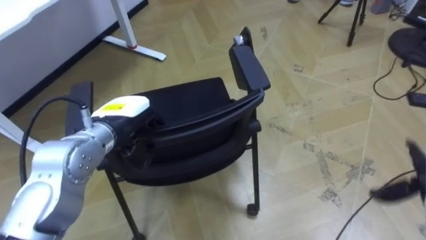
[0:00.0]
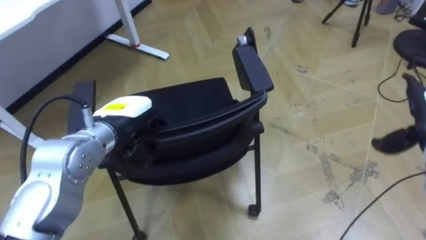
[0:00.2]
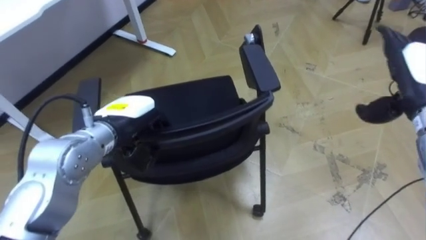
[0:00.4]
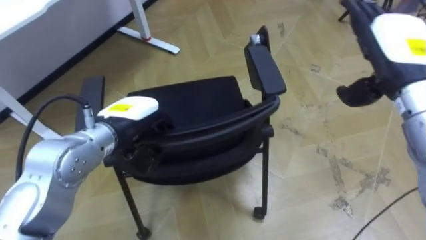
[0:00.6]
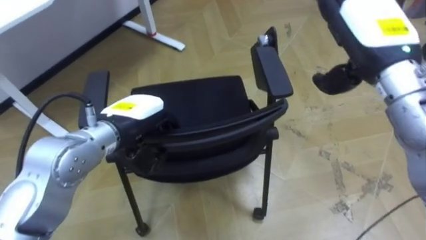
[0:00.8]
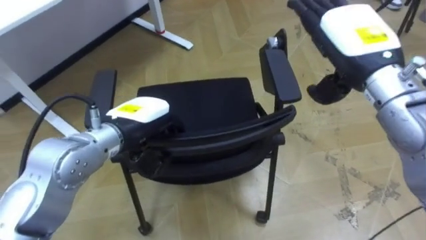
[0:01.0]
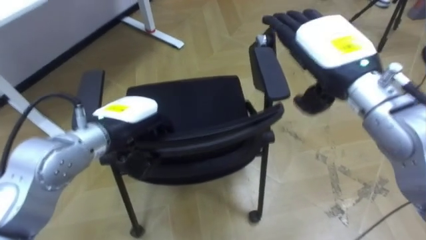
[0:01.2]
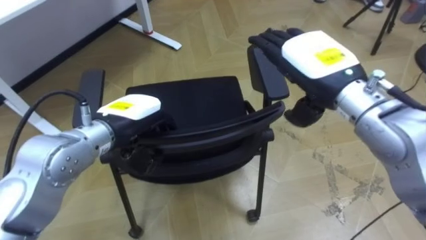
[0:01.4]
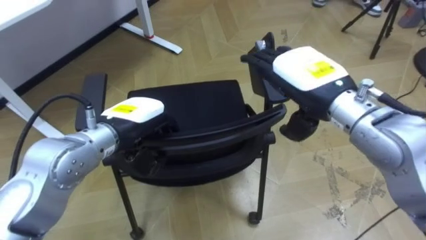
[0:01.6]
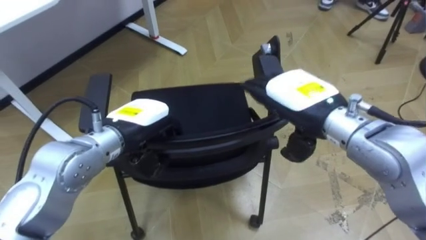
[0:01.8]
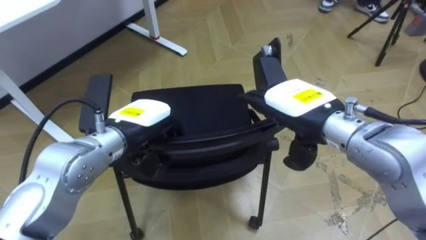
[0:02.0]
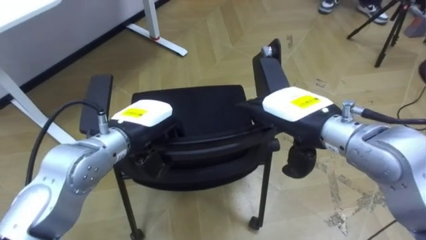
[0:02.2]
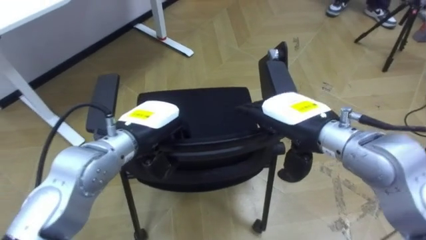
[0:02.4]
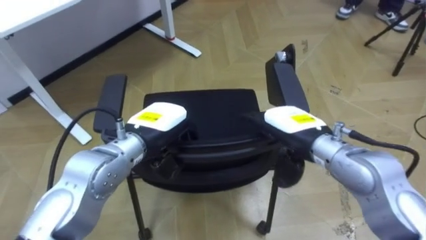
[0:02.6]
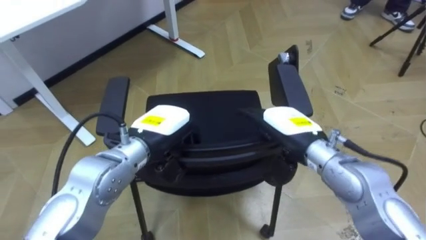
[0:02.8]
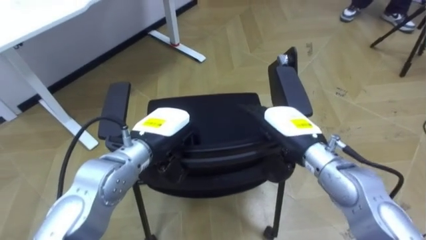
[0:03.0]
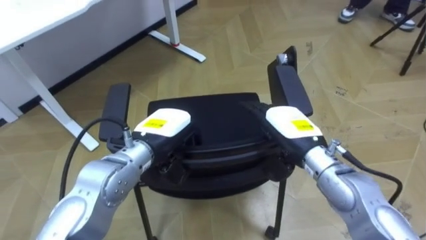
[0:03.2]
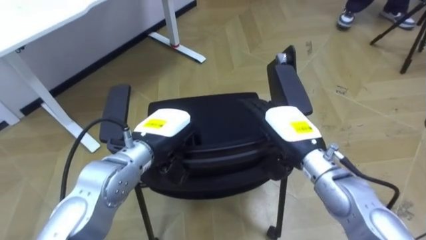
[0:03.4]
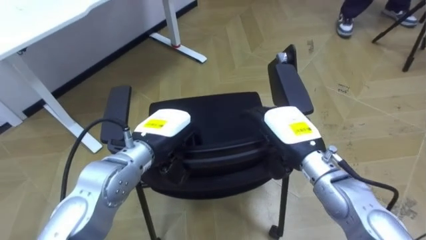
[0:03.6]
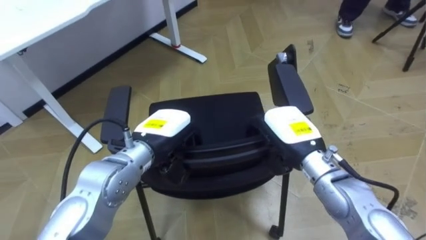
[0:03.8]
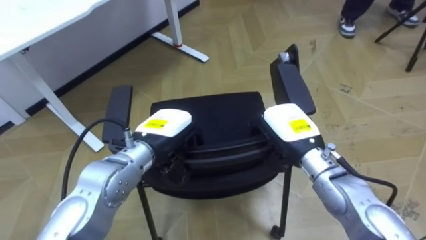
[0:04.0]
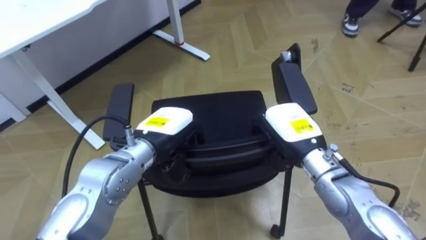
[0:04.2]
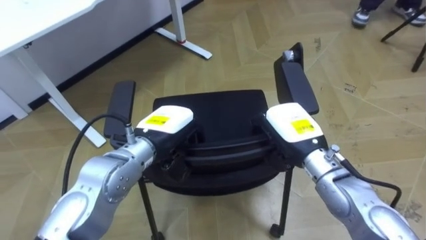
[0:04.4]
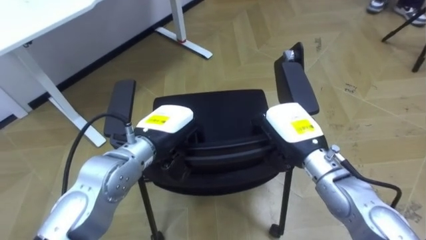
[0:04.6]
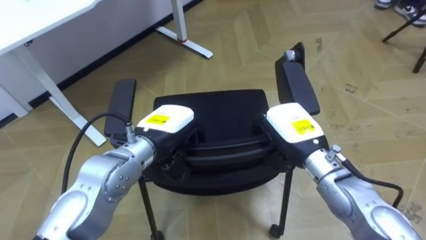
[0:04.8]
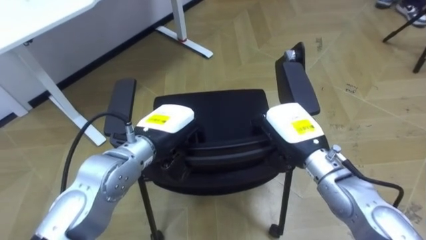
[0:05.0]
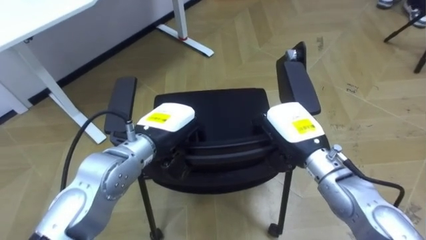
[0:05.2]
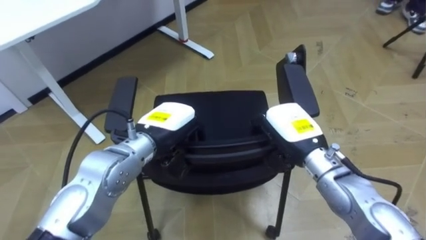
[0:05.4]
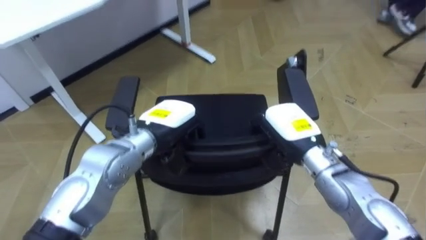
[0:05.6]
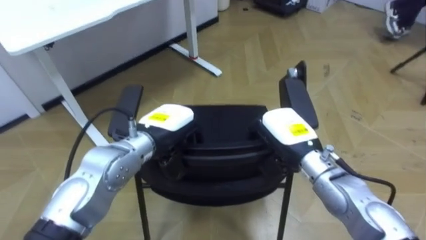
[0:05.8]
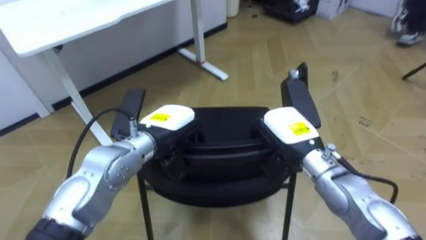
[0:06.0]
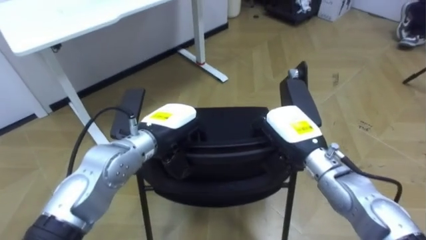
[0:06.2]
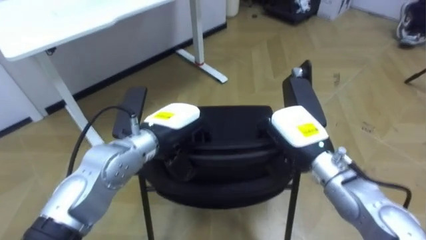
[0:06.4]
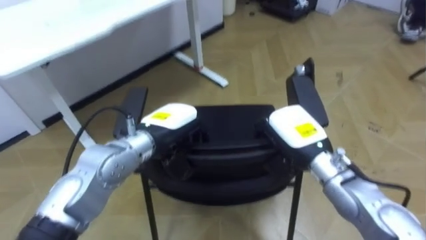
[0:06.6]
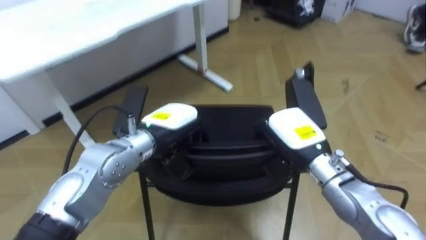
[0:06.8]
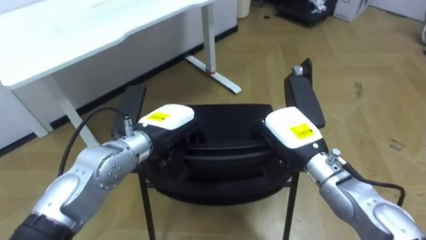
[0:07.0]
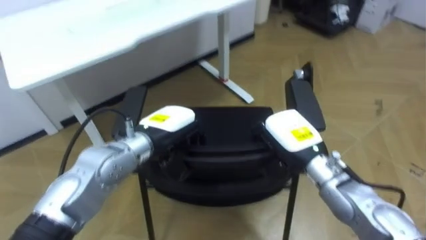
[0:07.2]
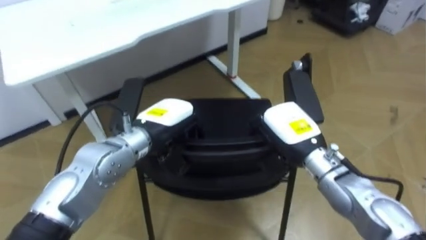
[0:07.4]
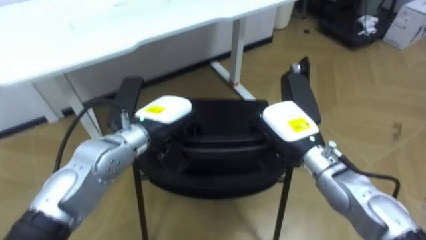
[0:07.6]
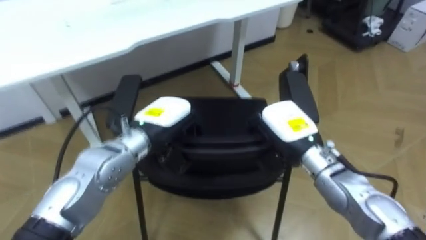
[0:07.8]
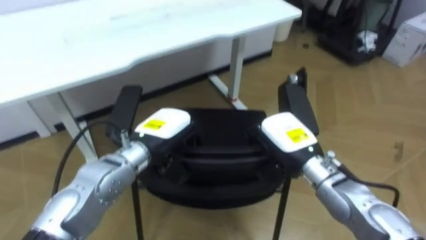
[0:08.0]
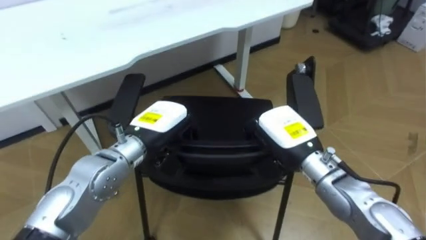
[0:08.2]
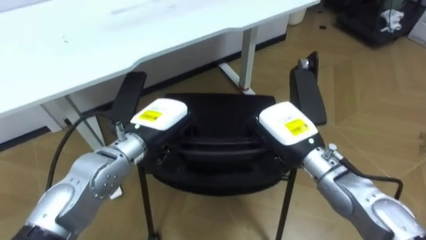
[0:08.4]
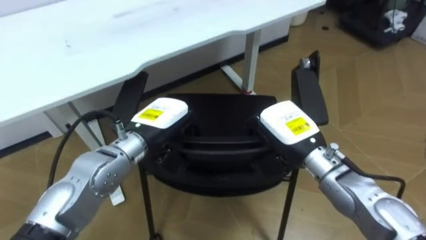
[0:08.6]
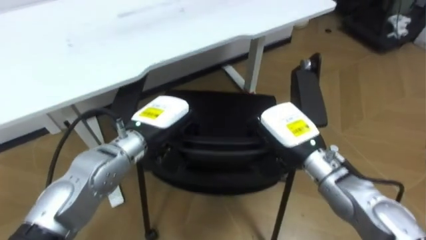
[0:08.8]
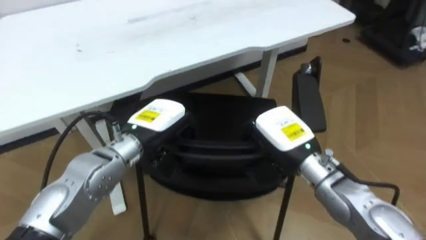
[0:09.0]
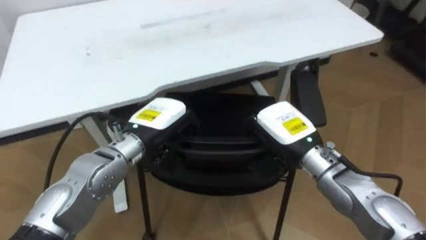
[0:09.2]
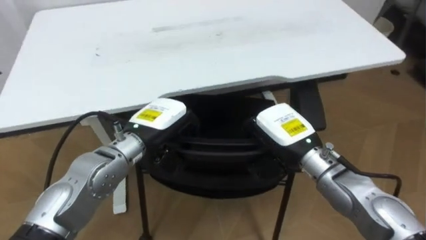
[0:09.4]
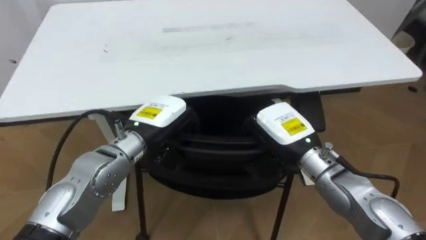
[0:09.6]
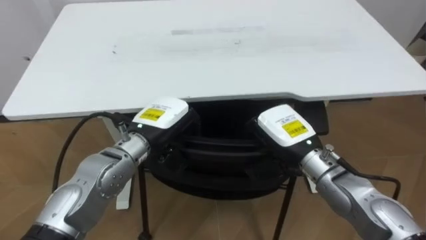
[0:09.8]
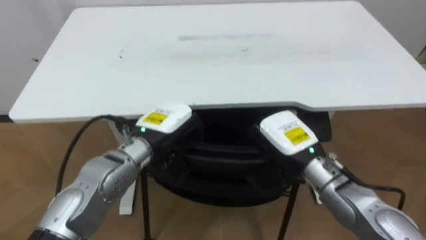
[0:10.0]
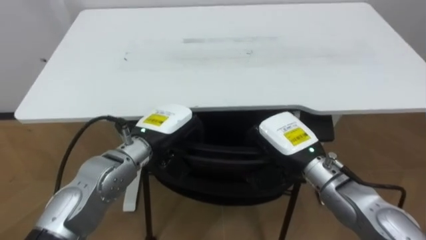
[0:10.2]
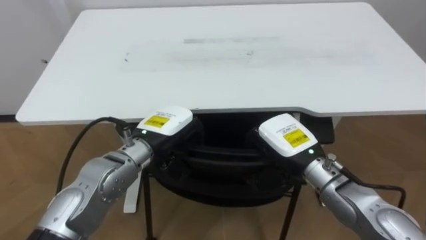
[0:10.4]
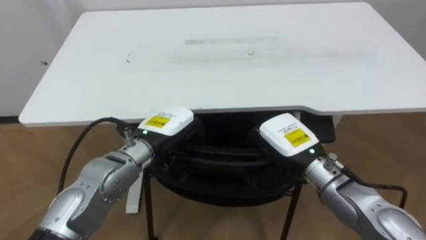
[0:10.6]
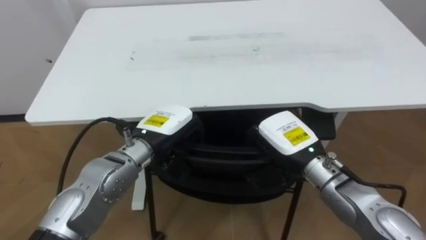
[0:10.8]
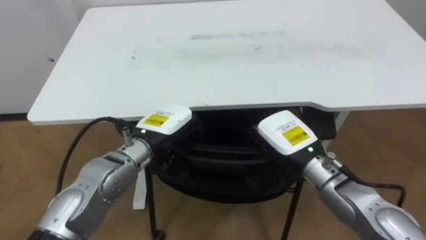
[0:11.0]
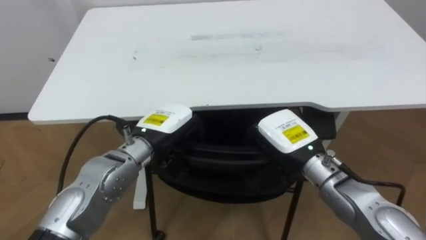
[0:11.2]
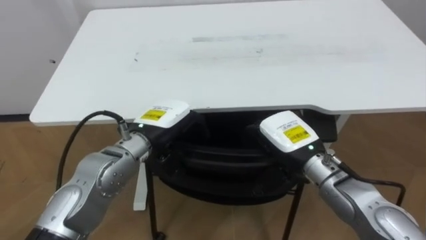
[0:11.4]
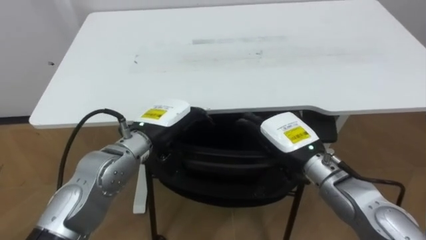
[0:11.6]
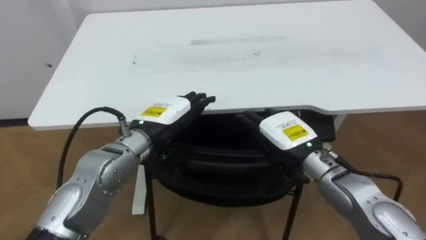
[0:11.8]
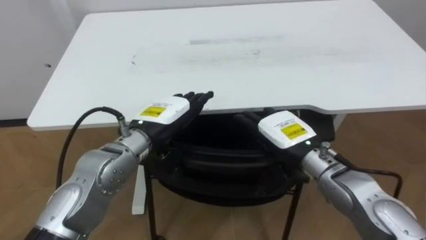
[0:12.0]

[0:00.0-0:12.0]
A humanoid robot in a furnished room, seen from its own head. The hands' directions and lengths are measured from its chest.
Task of the whole recording: Push the chair under the table.
0:01.6 to 0:03.0: The left hand moves some 5 cm, while the right hand is displaced downward by some 10 cm.
0:03.0 to 0:04.4: The right hand closes up.
0:09.0 to 0:10.4: The robot faces about 20 degrees further to its left.
0:10.4 to 0:12.0: The left hand opens; the right hand opens its fingers.

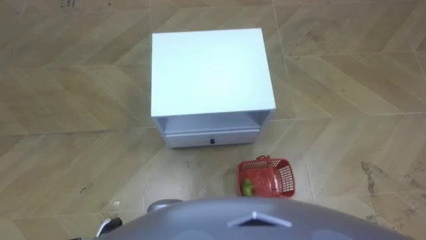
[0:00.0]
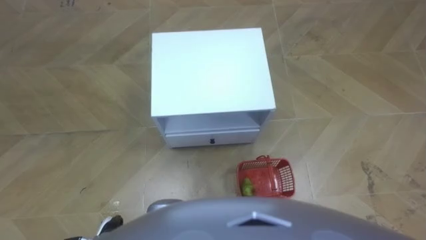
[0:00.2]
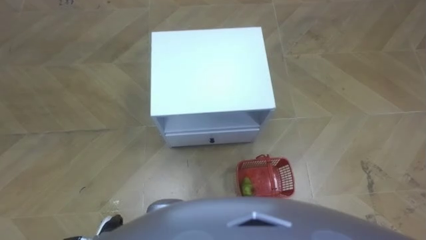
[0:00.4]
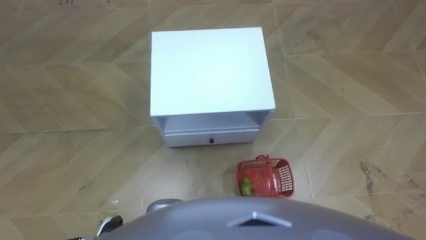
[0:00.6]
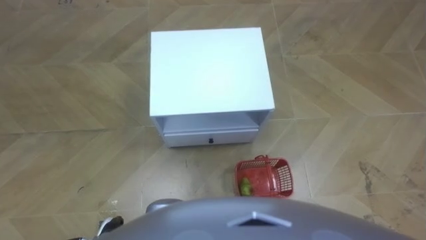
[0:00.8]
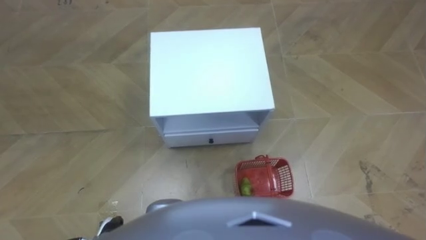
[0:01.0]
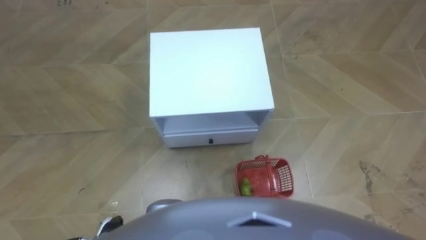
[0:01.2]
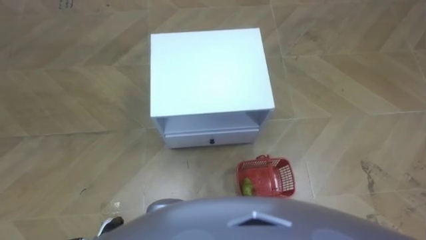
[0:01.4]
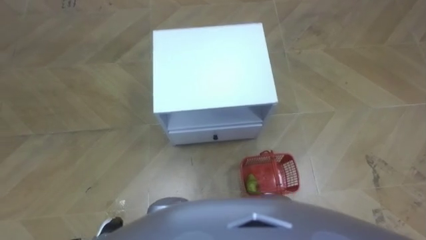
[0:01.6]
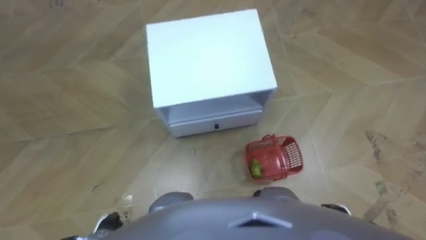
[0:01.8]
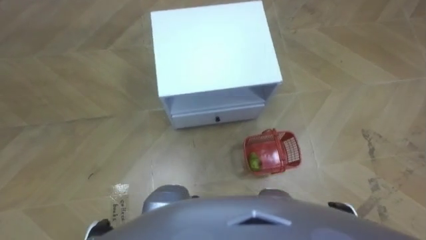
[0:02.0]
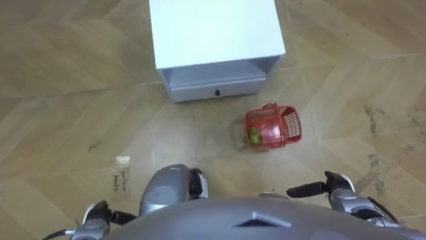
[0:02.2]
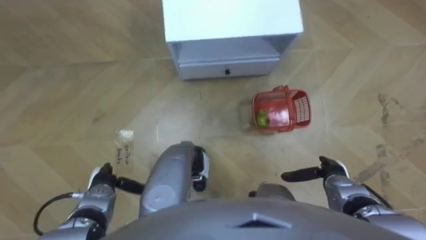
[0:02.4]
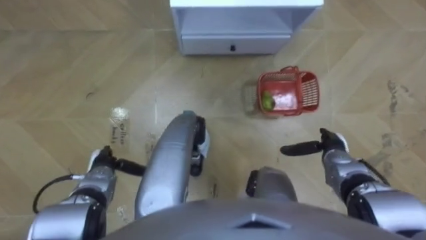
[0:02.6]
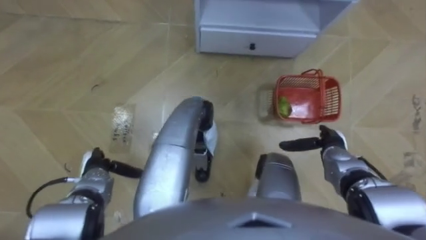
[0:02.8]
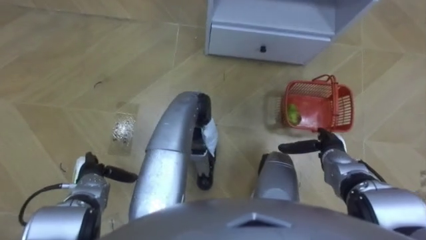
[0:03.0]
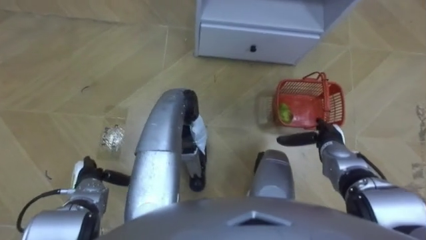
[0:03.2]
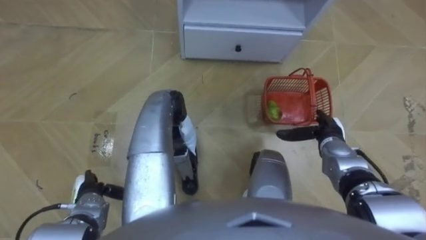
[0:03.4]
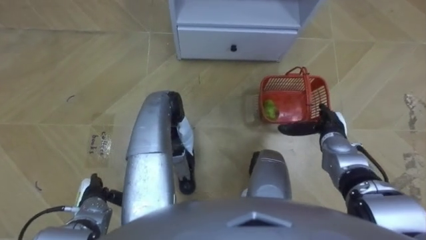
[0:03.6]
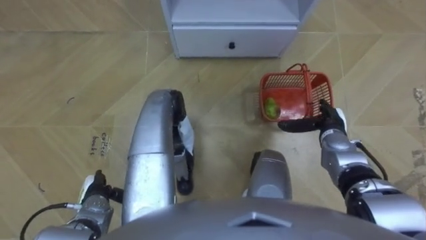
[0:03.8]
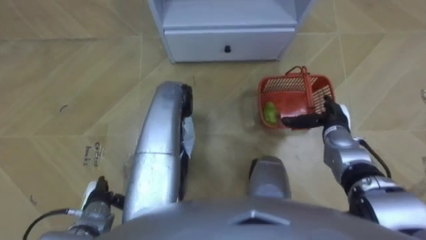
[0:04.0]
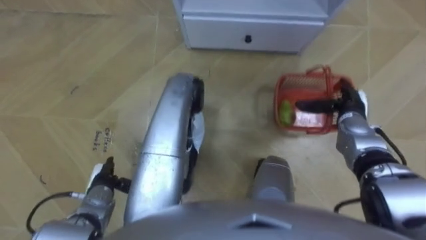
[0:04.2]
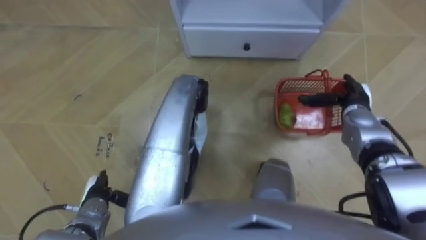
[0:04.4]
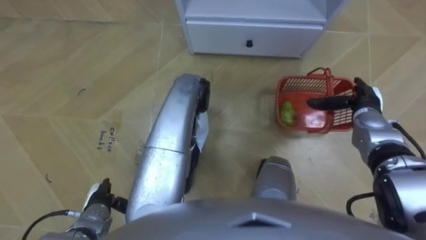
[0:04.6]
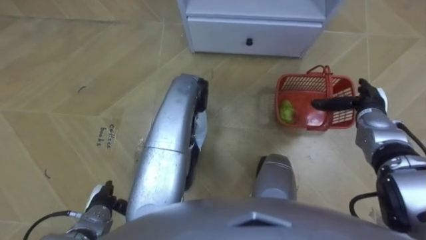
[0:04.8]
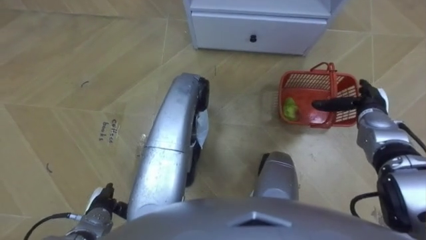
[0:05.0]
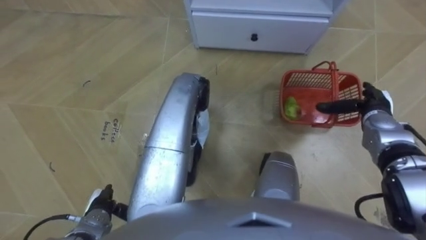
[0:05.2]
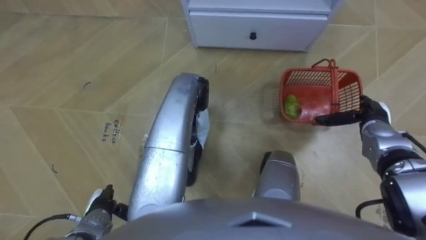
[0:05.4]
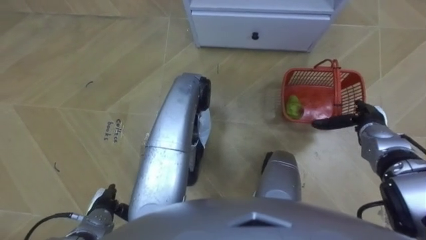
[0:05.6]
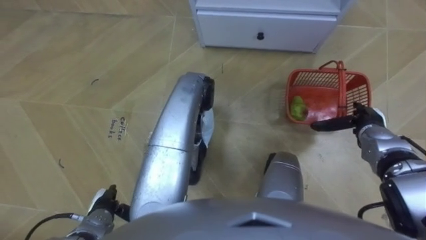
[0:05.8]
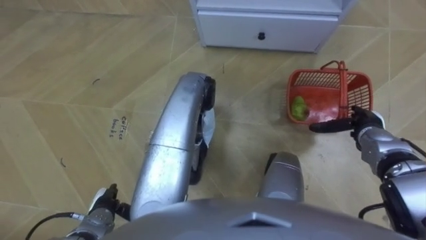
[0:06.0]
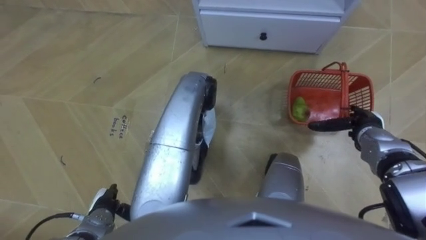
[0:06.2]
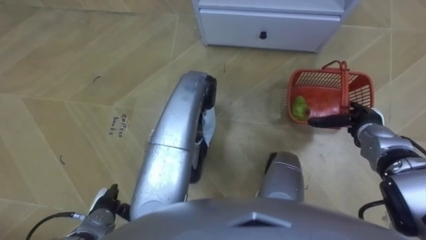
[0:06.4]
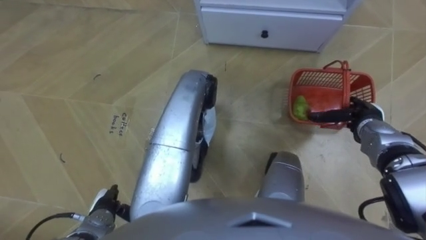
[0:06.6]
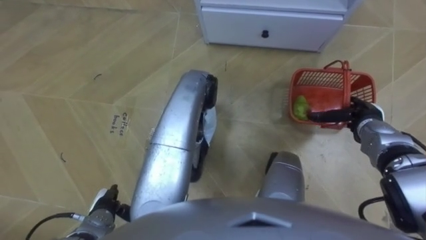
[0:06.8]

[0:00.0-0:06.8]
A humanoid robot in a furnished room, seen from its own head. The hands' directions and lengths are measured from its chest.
Task of the whole recording: Pick up the fruit basket from the floor and place it on the cabinet.
0:01.4 to 0:02.8: The hands both shift forward by roughly 20 cm.
0:02.8 to 0:04.0: The right hand moves approximately 5 cm; the left hand shifts some 5 cm backward.
0:04.0 to 0:05.4: The right hand goes approximately 10 cm to the right.
